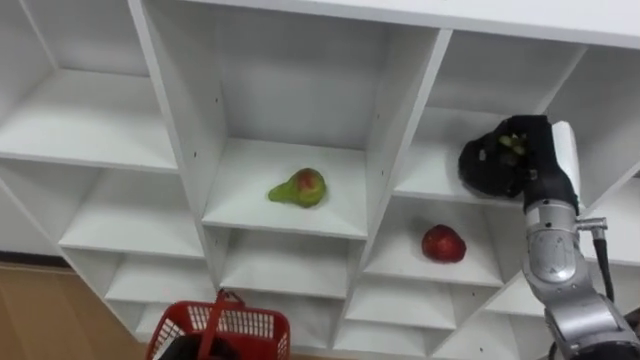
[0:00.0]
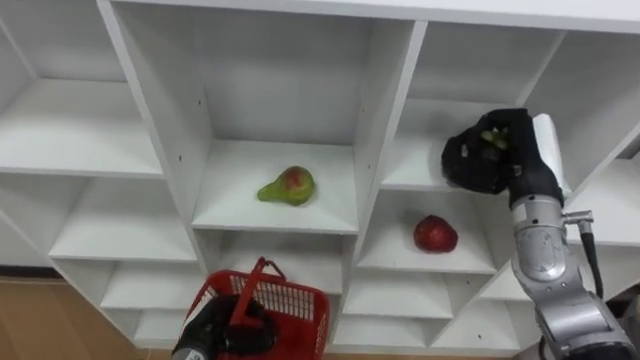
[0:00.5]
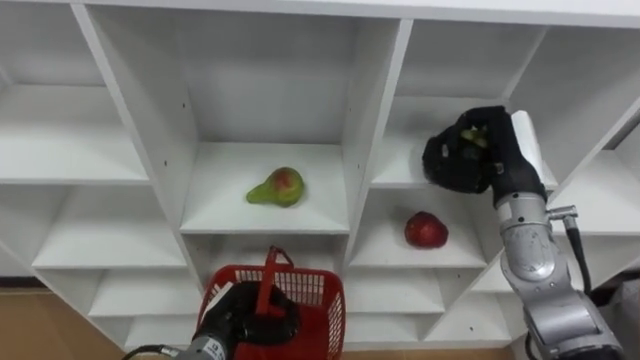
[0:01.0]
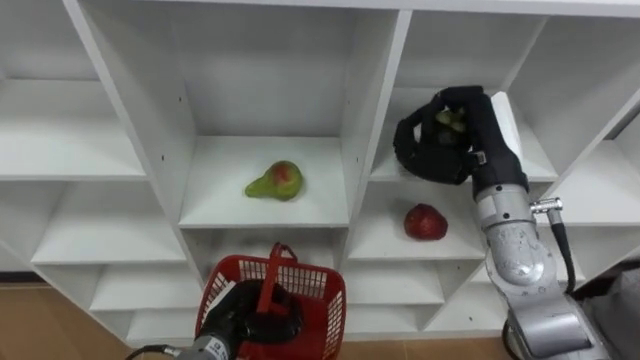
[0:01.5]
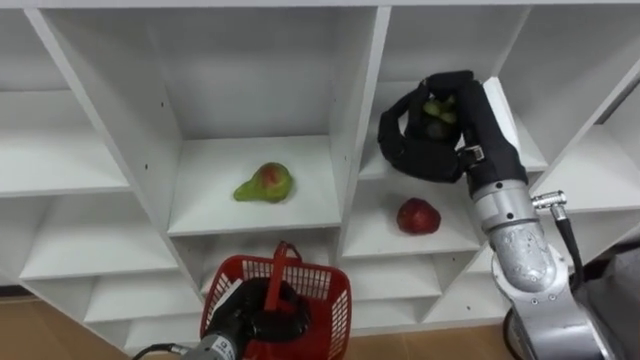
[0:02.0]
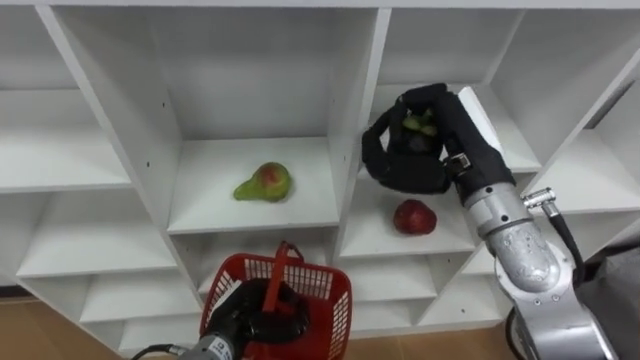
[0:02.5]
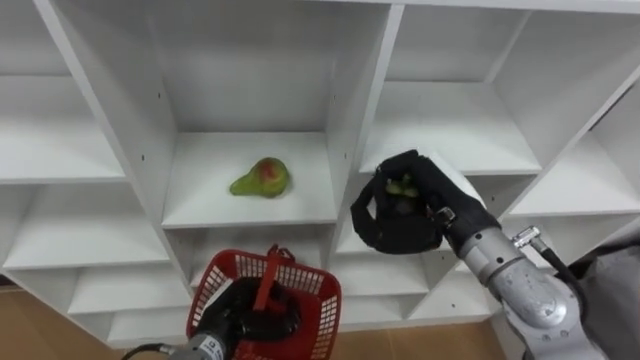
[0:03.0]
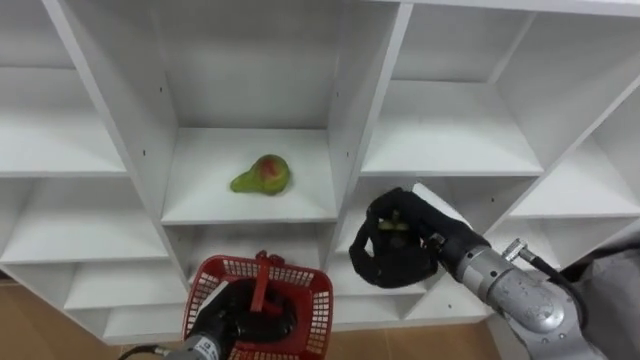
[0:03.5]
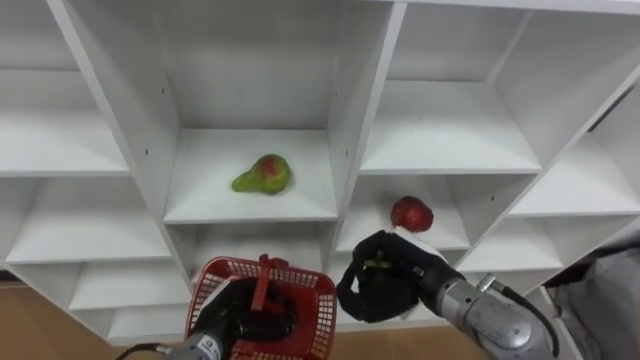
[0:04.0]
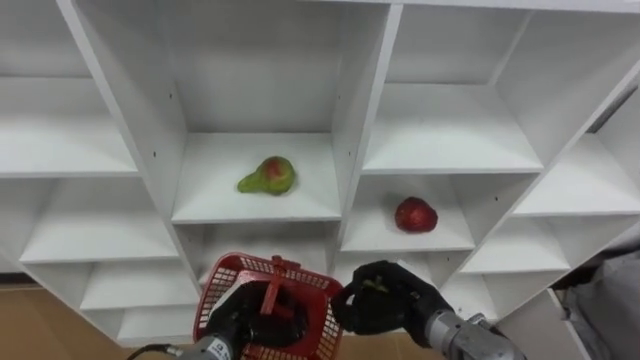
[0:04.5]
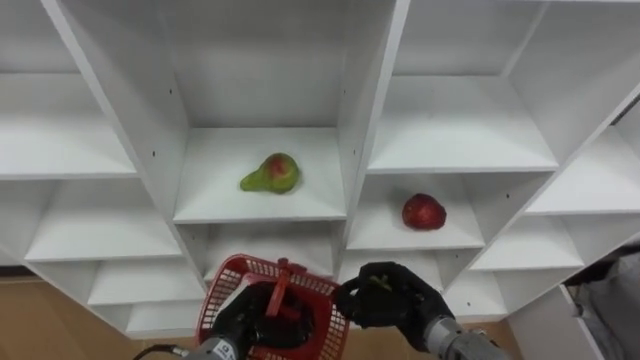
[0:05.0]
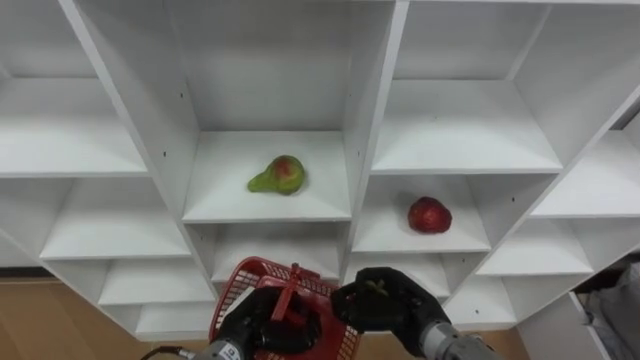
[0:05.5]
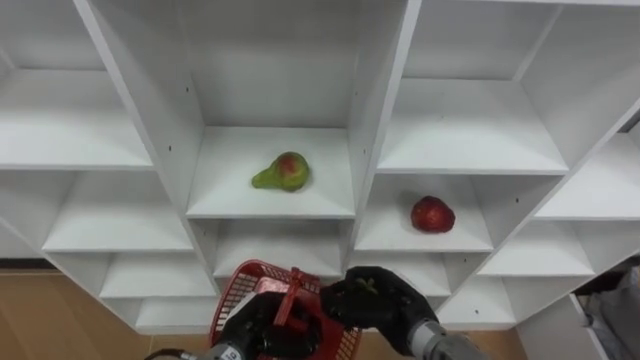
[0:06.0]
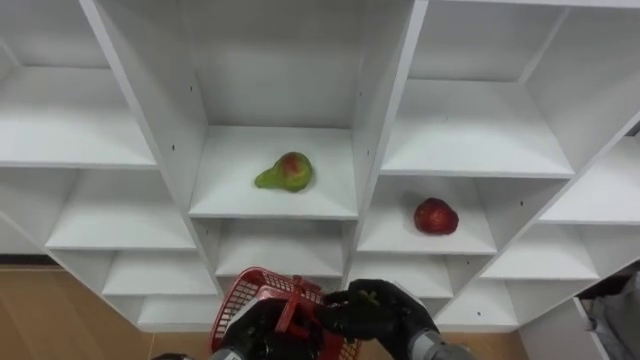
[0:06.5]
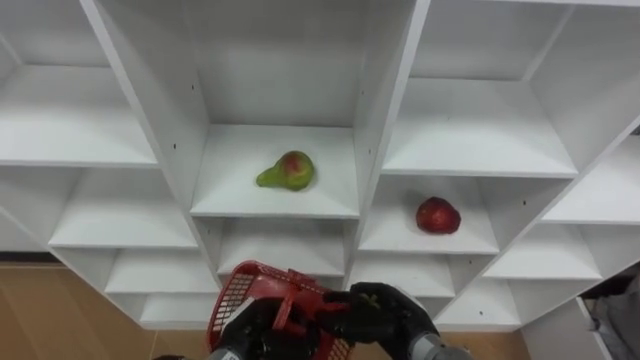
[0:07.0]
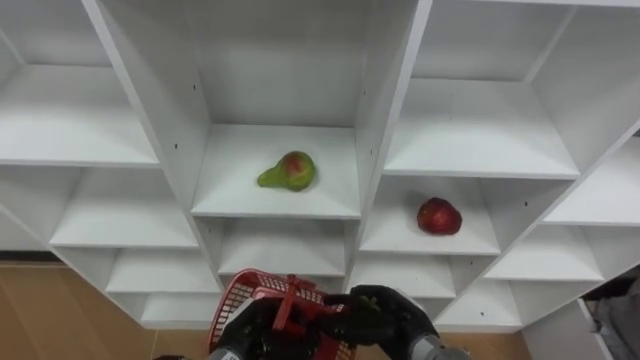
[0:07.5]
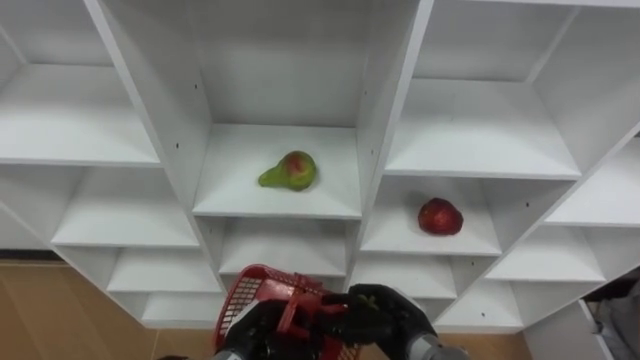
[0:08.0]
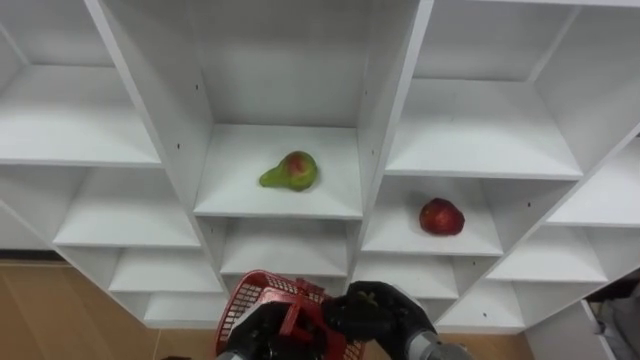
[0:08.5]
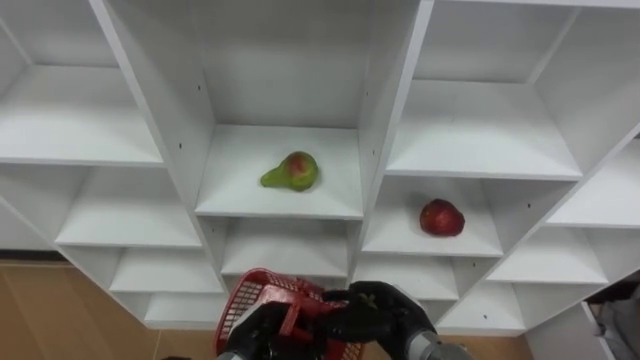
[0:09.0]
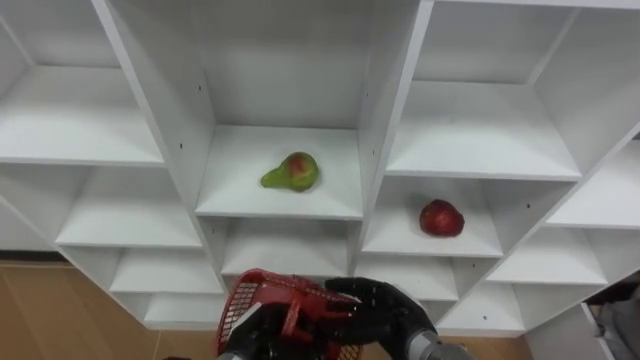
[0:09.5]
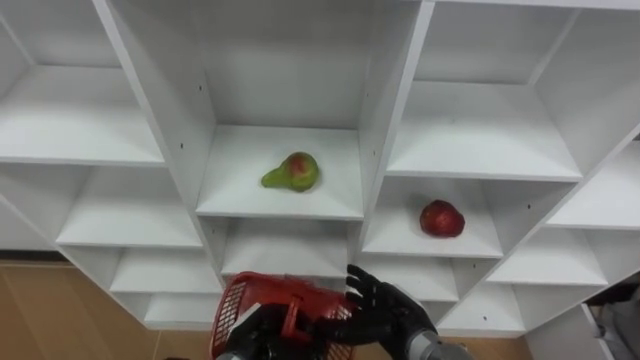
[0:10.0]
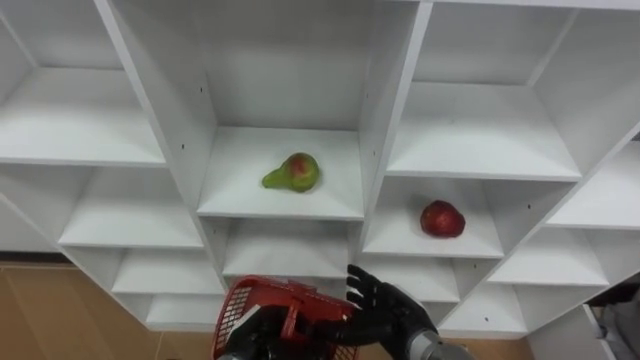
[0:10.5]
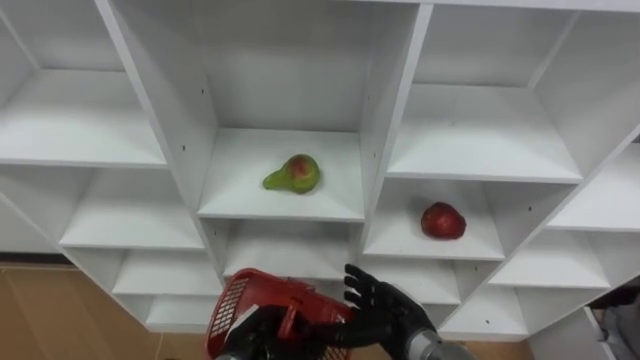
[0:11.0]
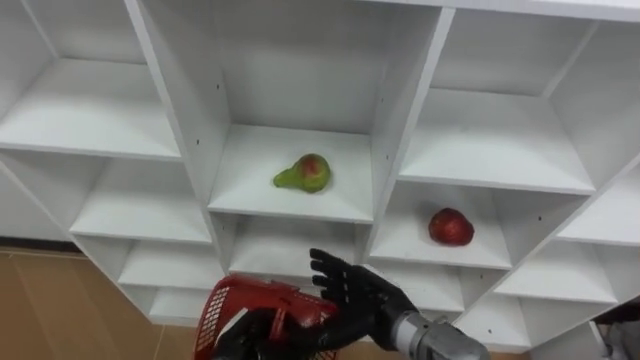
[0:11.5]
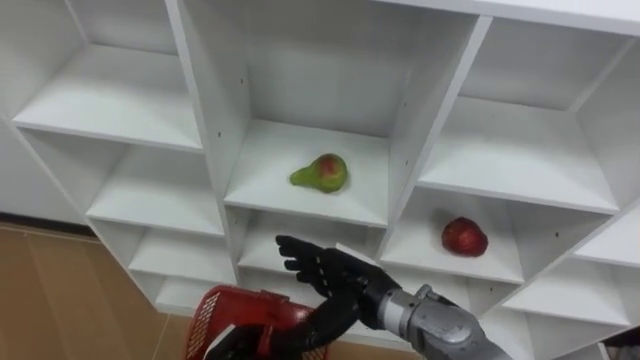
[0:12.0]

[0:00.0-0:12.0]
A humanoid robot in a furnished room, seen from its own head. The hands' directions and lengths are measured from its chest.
Task of the whole recording: Hold the basket and collect the fruits from 3 different cells of the closet into it.
0:00.0 to 0:02.0: The right hand heads to the left and upward, covering some 15 cm.
0:02.0 to 0:04.0: The right hand moves downward and backward, approximately 15 cm.
0:04.0 to 0:06.0: The right hand shifts approximately 5 cm downward.
0:06.0 to 0:08.0: The hands make only small movements.
0:08.0 to 0:10.0: The right hand opens its fingers.
0:10.0 to 0:12.0: The right hand travels upward and to the left by some 10 cm.

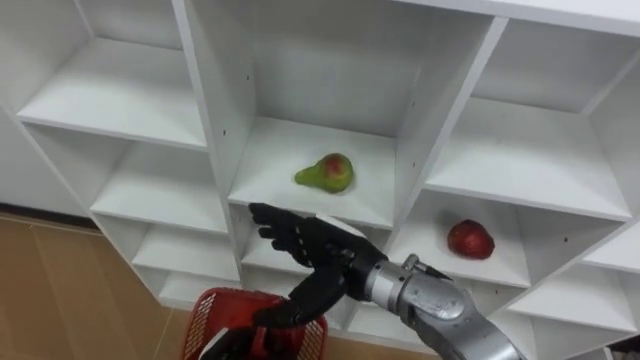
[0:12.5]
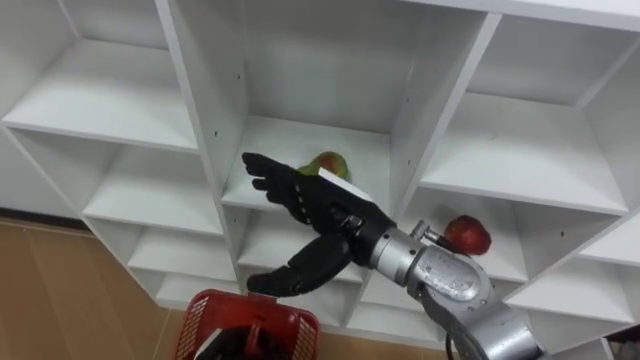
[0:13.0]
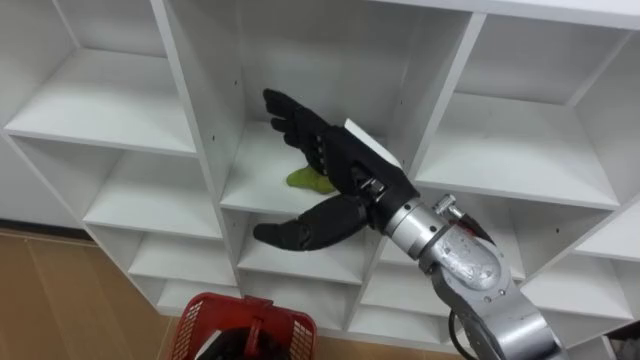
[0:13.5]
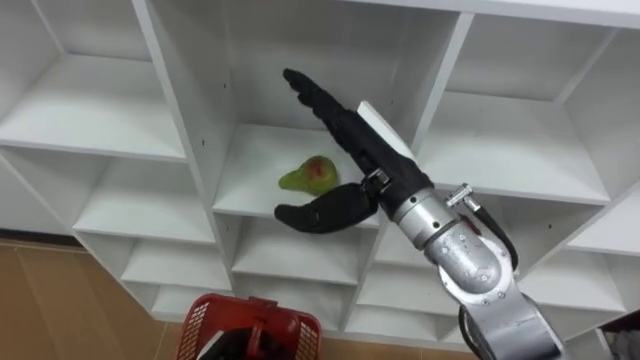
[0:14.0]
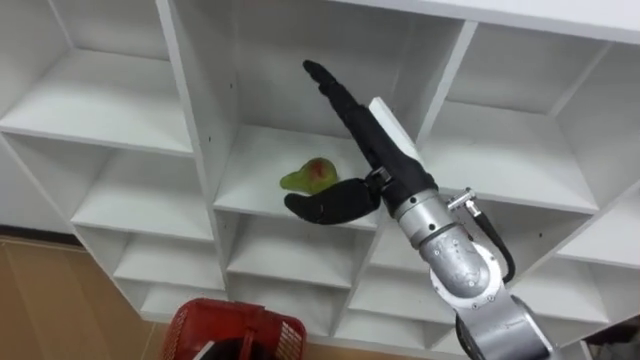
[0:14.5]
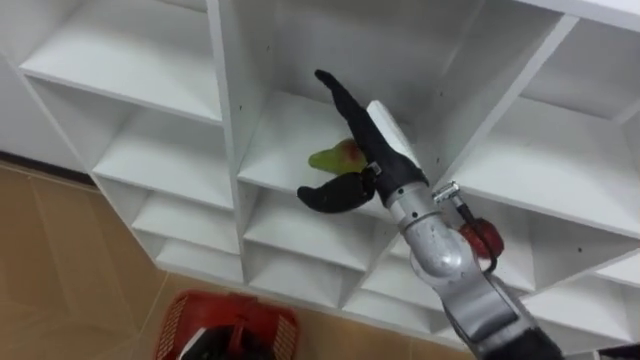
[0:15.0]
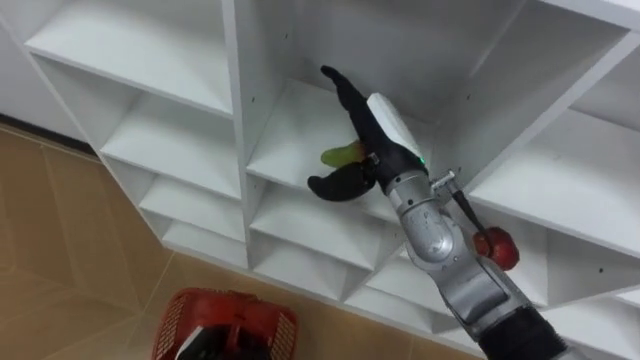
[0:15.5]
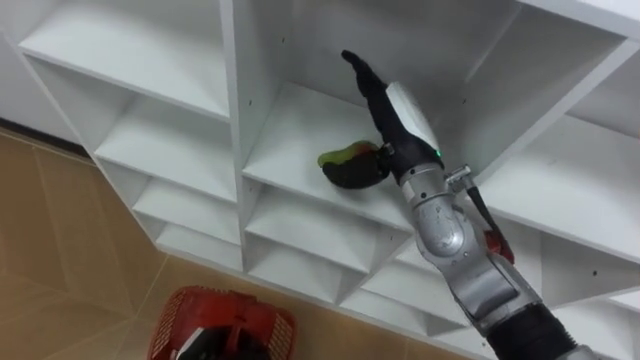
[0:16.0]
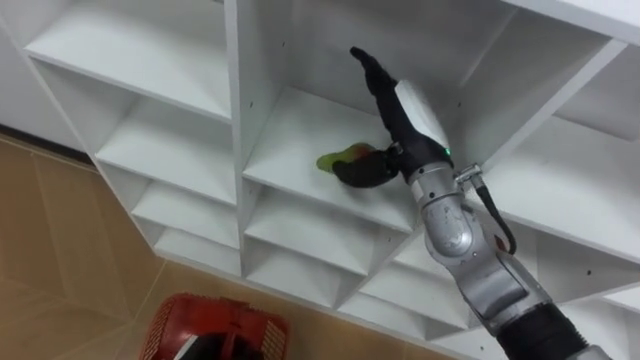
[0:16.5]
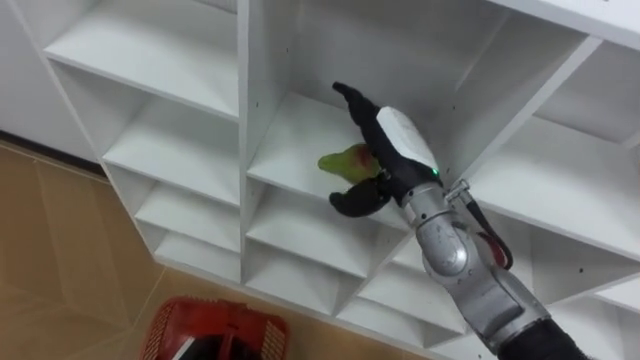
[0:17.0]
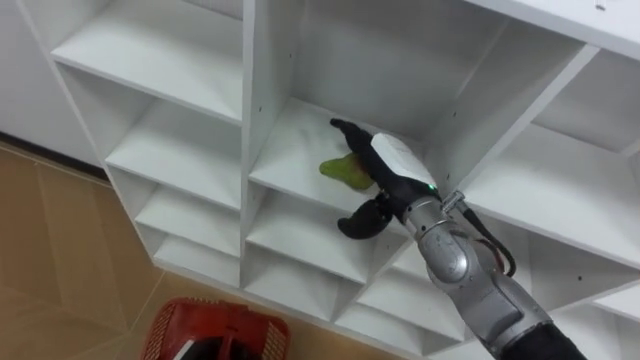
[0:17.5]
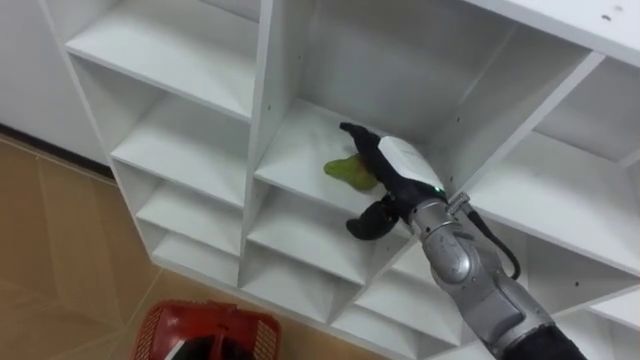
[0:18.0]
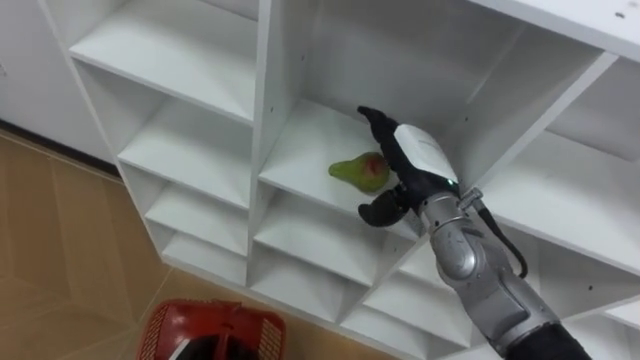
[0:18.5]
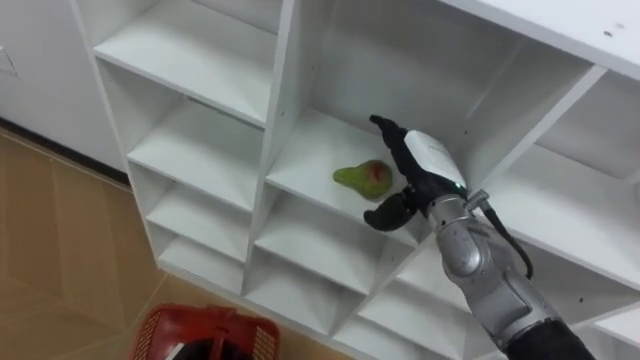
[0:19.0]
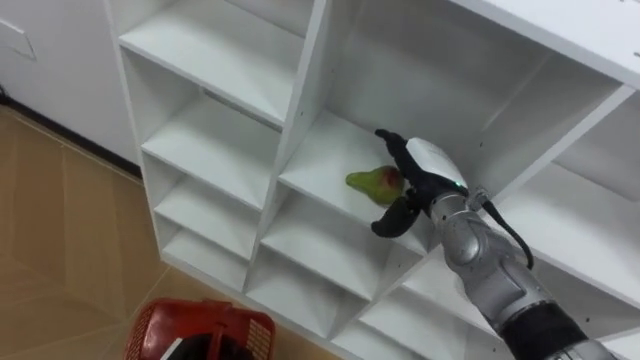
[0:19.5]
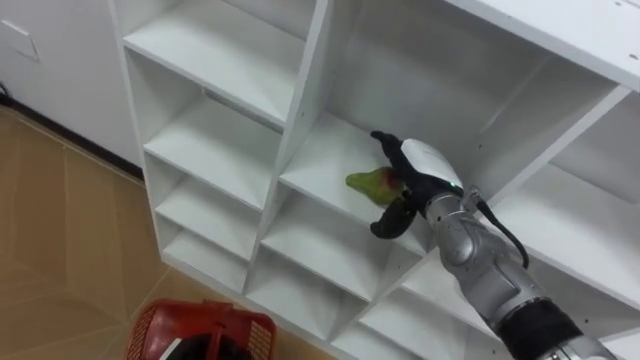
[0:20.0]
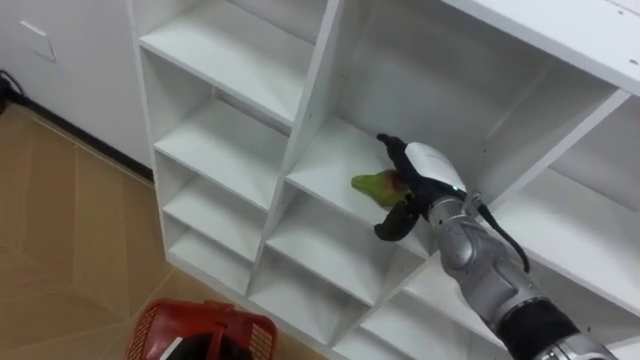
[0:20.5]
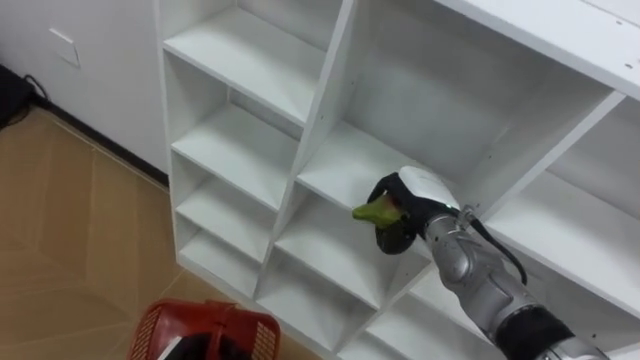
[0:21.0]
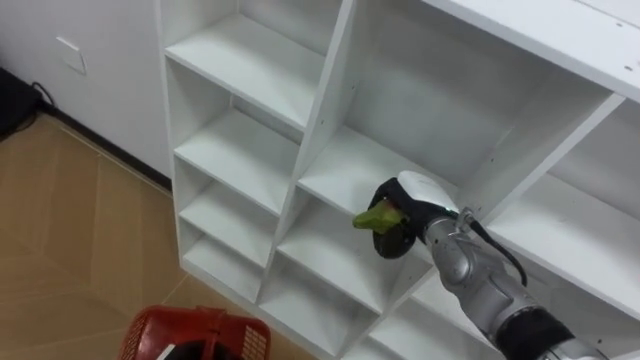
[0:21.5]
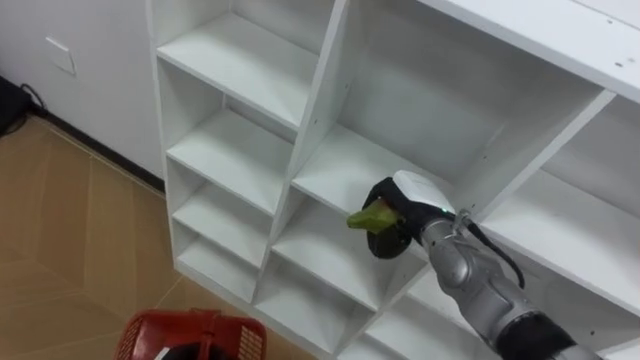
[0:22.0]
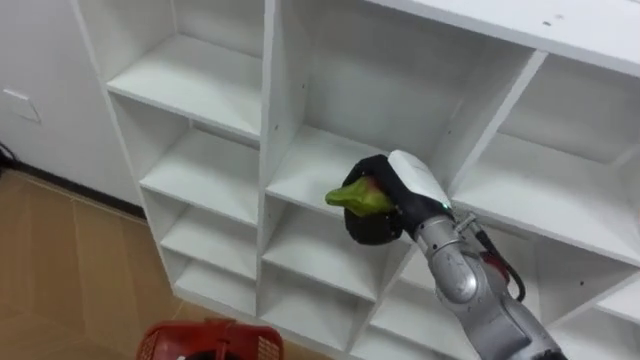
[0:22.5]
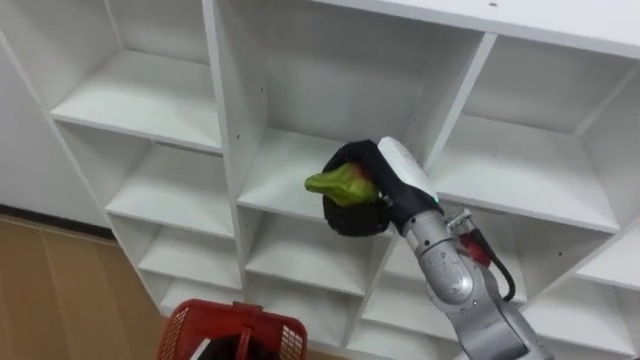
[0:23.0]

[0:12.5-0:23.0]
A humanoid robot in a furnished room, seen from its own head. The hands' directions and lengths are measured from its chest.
Task of the whole recording: Hold the basket and collect the fruits from 3 different cells of the closet into it.
0:12.5 to 0:14.5: The right hand heads upward, to the right and forward, covering roughly 15 cm.
0:14.5 to 0:16.5: The right hand goes some 5 cm forward.
0:16.5 to 0:19.0: The right hand goes some 5 cm downward.
0:19.0 to 0:21.0: The right hand shifts some 5 cm downward, and closes.
0:21.0 to 0:23.0: The right hand heads upward, covering approximately 10 cm.
